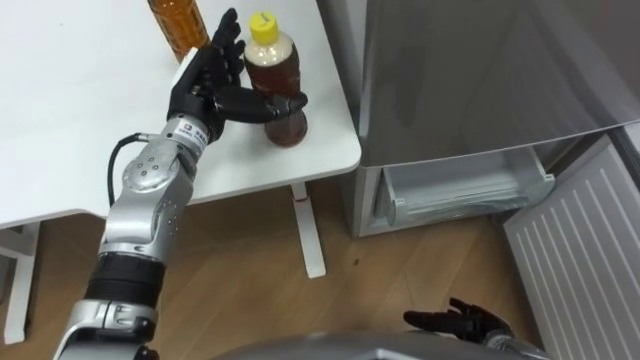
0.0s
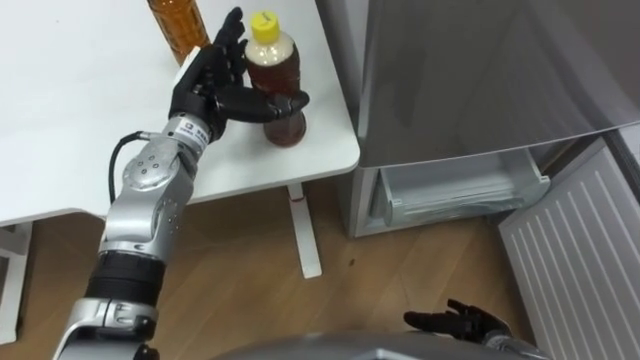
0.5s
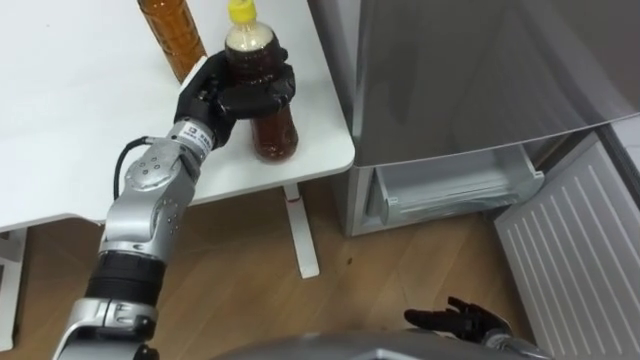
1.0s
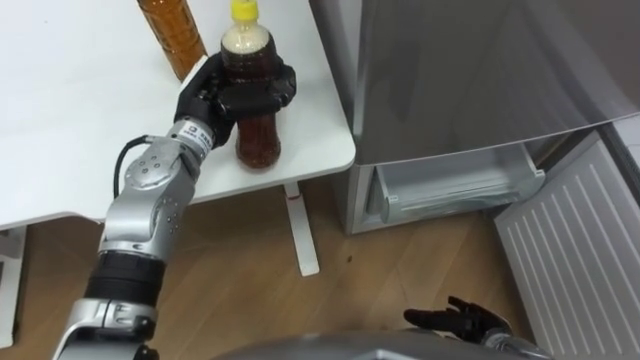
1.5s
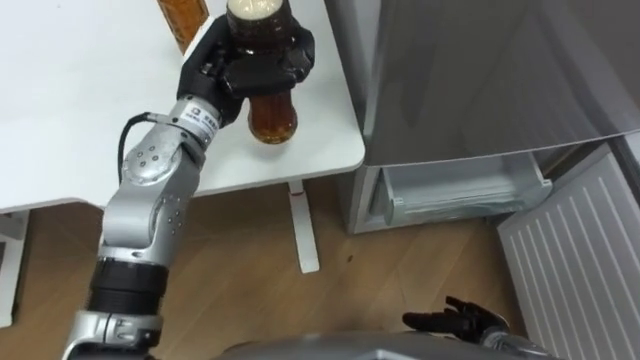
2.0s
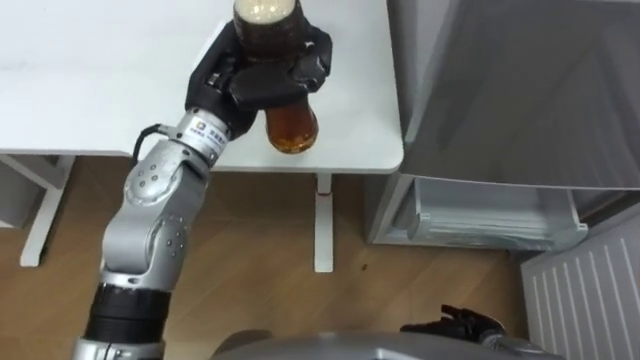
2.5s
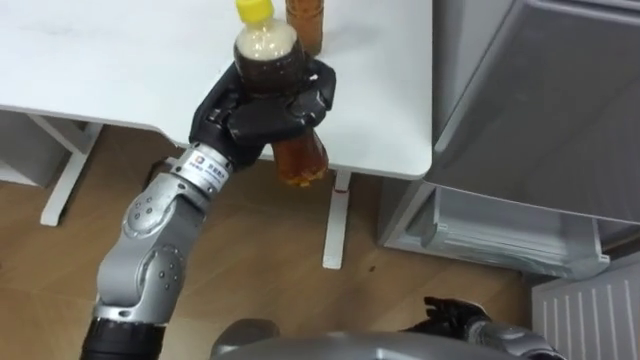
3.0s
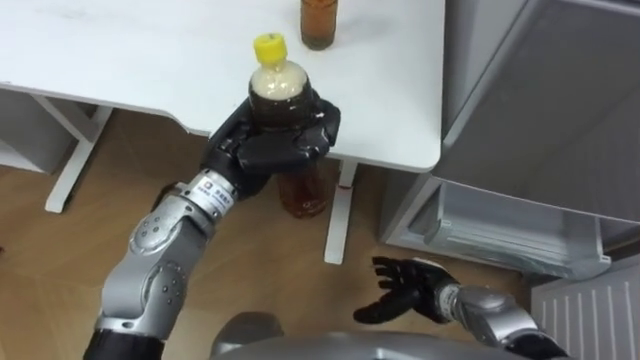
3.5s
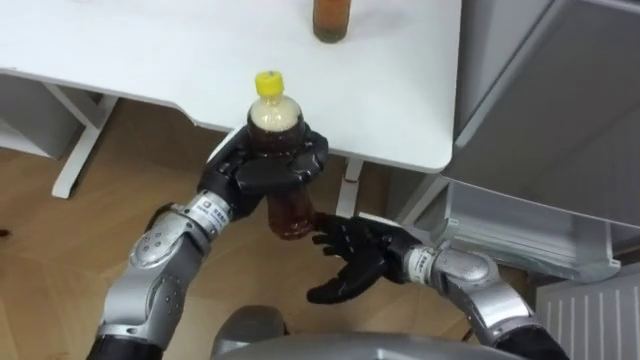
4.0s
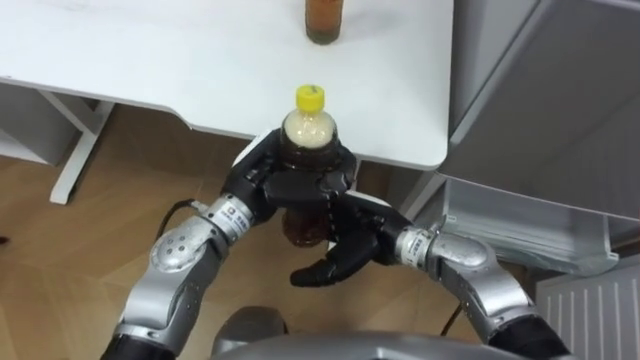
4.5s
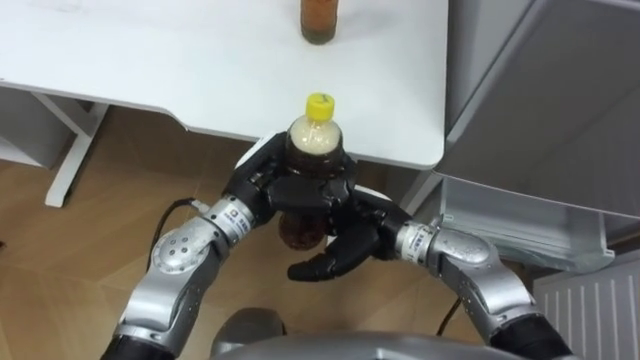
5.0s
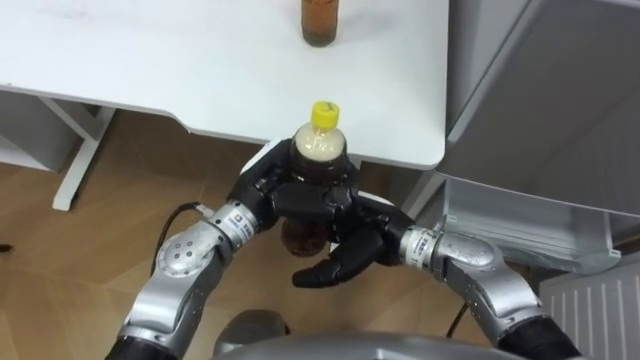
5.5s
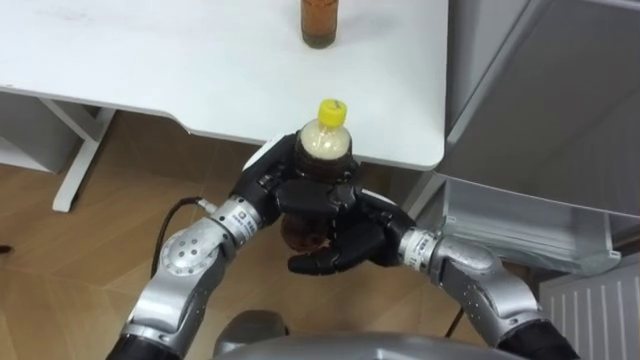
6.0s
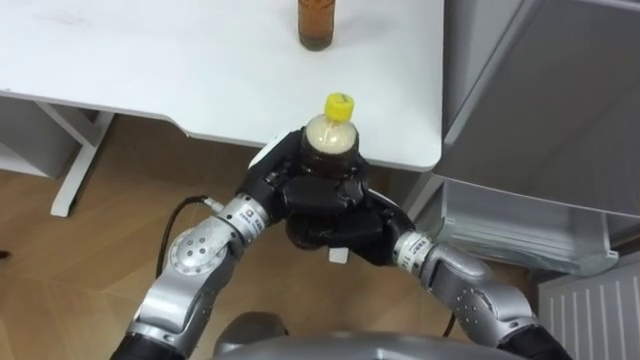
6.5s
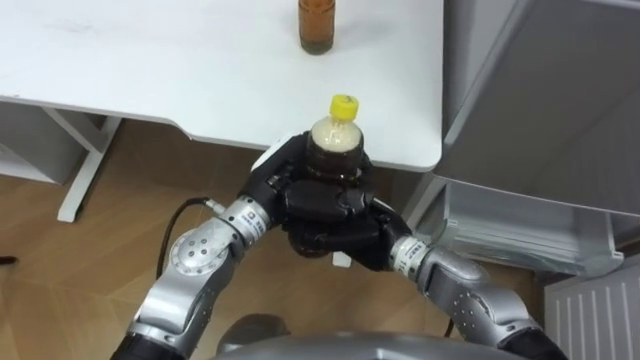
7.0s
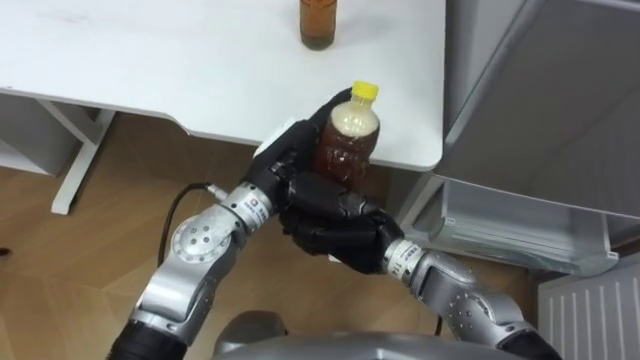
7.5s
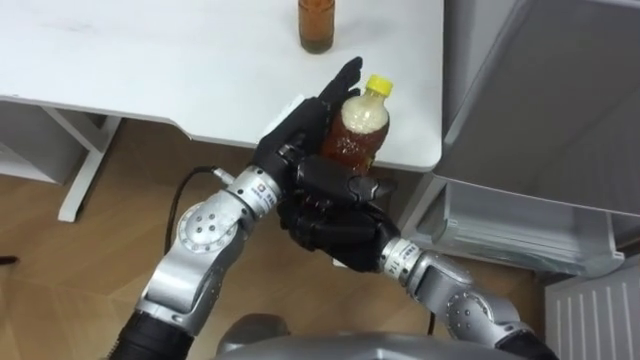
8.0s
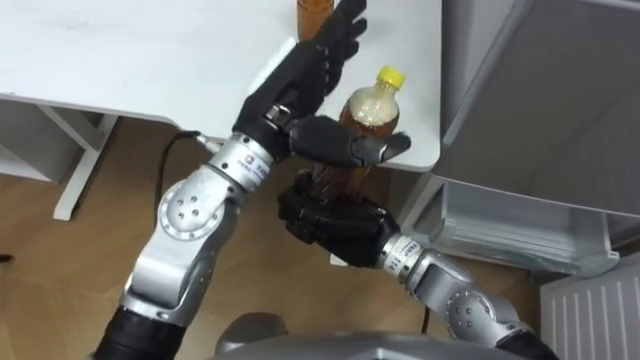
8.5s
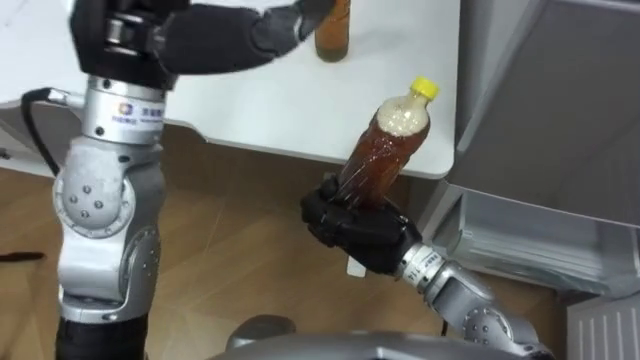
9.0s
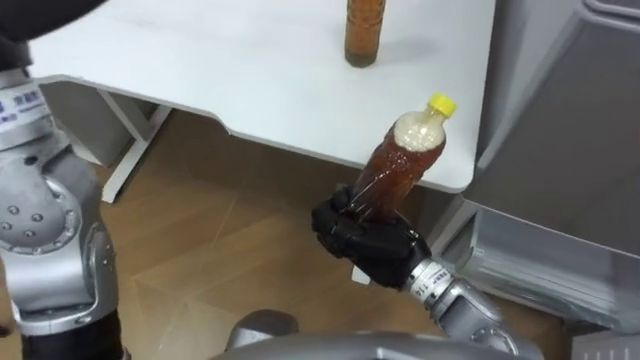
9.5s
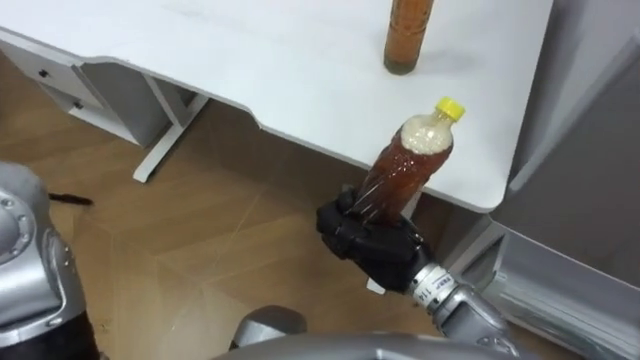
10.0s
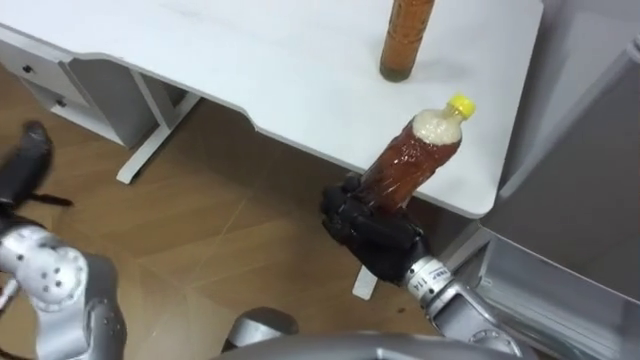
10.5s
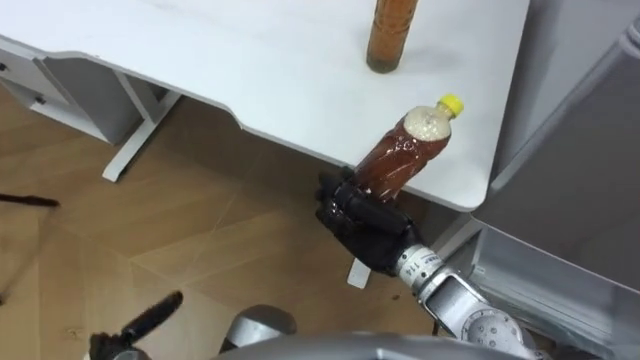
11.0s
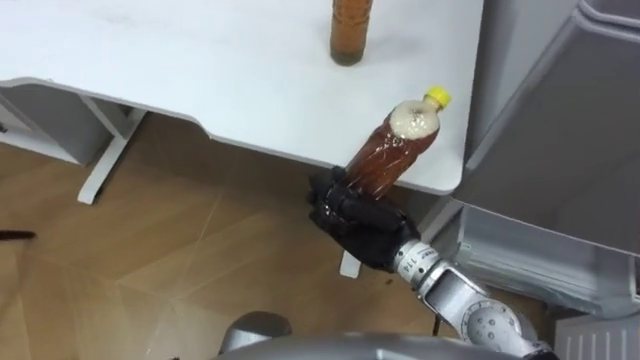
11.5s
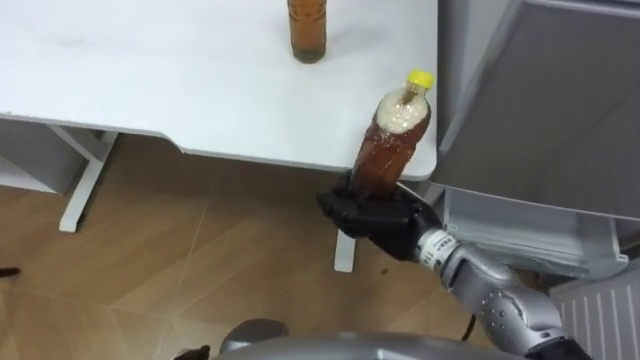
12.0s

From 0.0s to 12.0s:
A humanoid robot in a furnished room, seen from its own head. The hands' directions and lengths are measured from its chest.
Task of the whole recording: Place the drink on the table on the bottom shelf of the refrigerator, then close the drawer and the refrigerator door.
From 0.0s to 2.0s: The left hand ends up some 5 cm from where it was, and closes.
From 2.0s to 4.0s: The right hand is displaced to the left, upward and forward by about 20 cm. The left hand shifts approximately 10 cm downward and backward.
From 4.0s to 6.0s: The right hand moves upward, roughly 5 cm.
From 6.0s to 8.0s: The left hand changes place by some 5 cm, and opens up. Meanwhile the right hand closes its fingers.
From 8.0s to 10.0s: The right hand ends up about 5 cm from where it was.

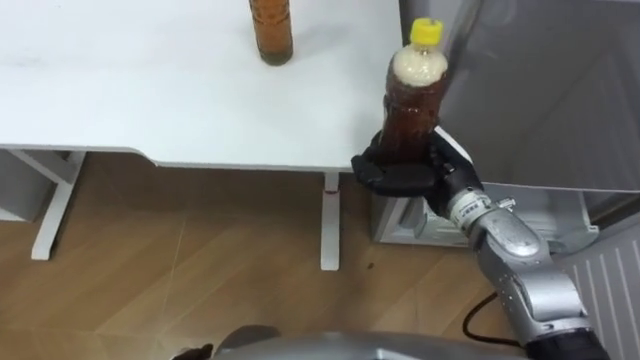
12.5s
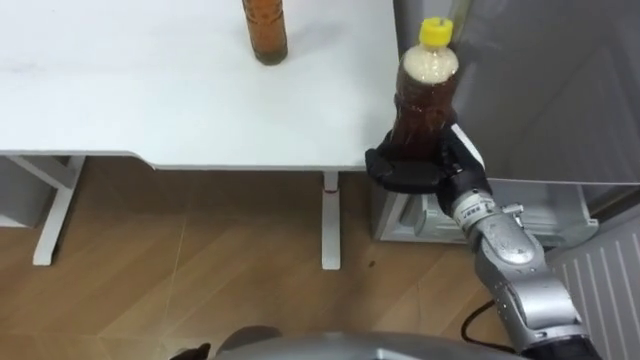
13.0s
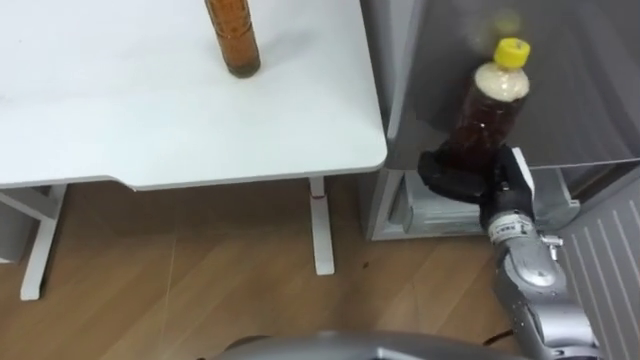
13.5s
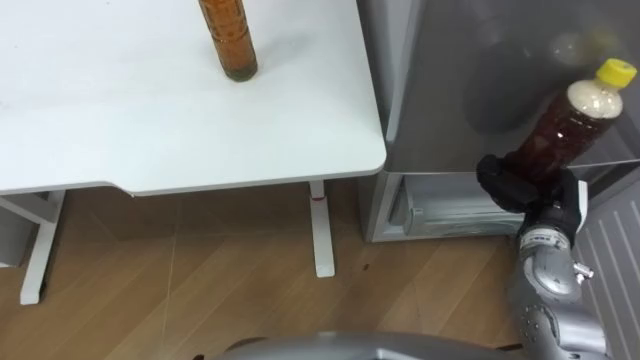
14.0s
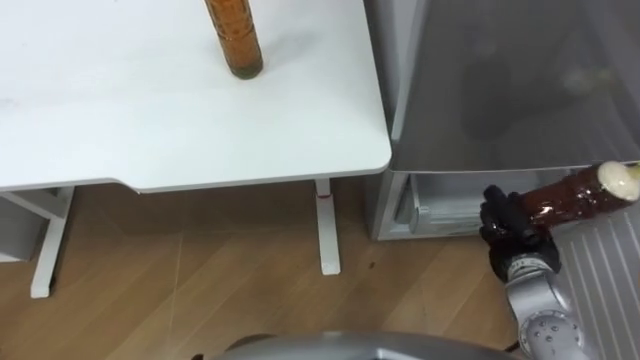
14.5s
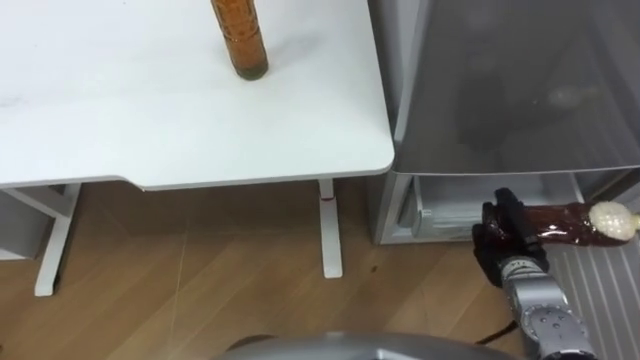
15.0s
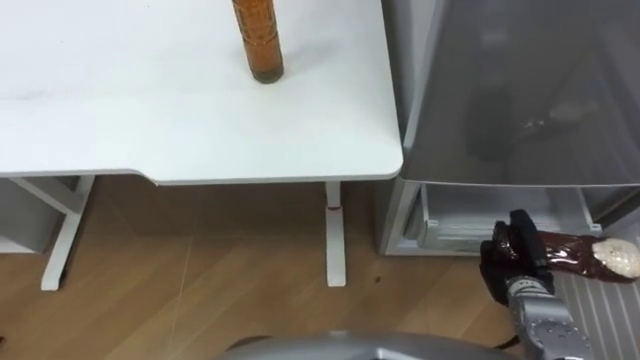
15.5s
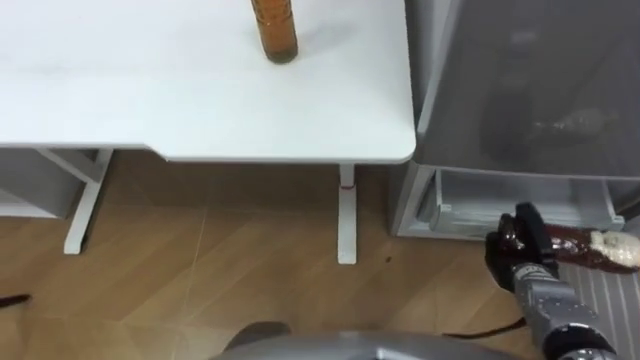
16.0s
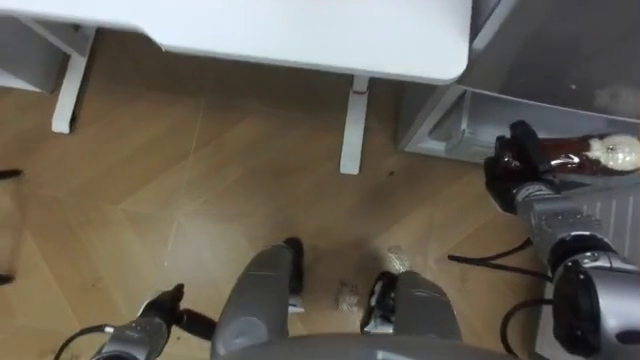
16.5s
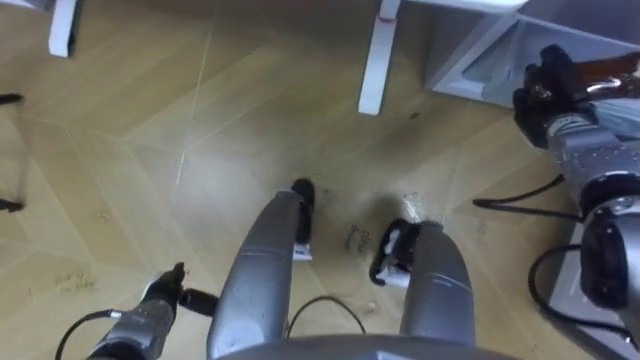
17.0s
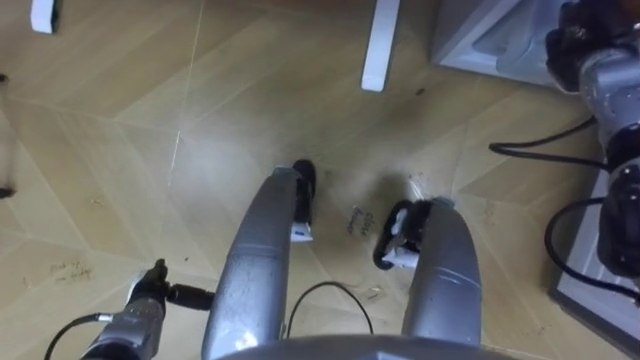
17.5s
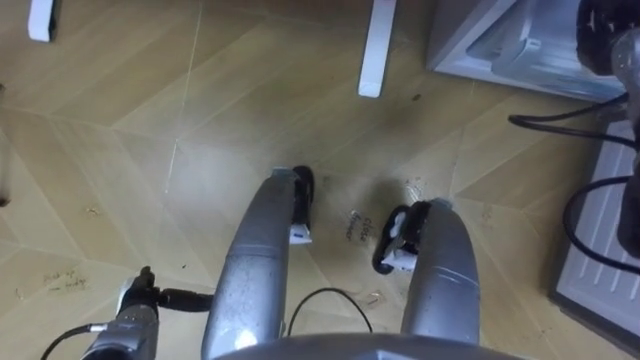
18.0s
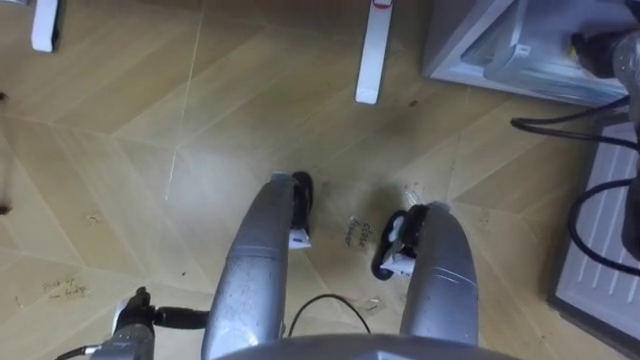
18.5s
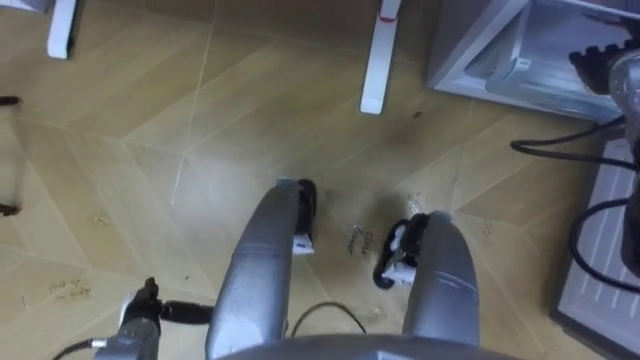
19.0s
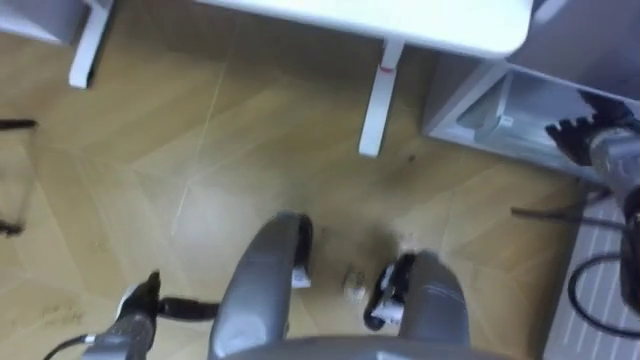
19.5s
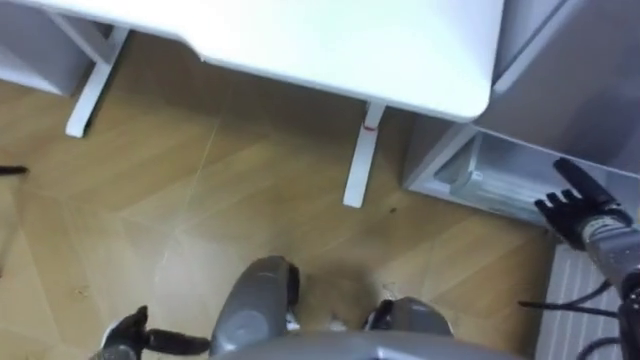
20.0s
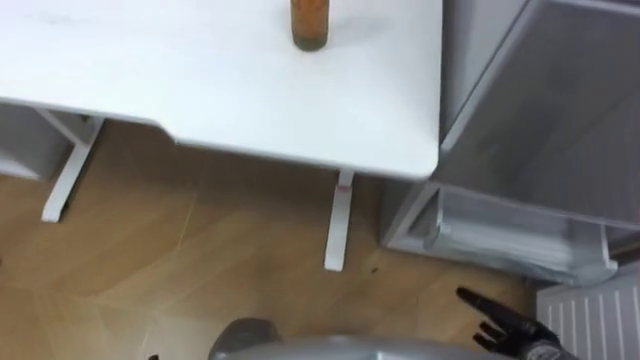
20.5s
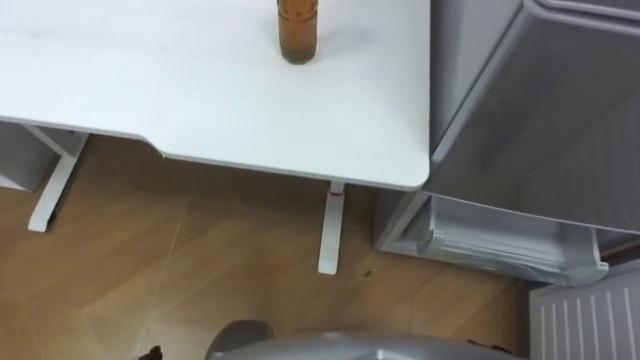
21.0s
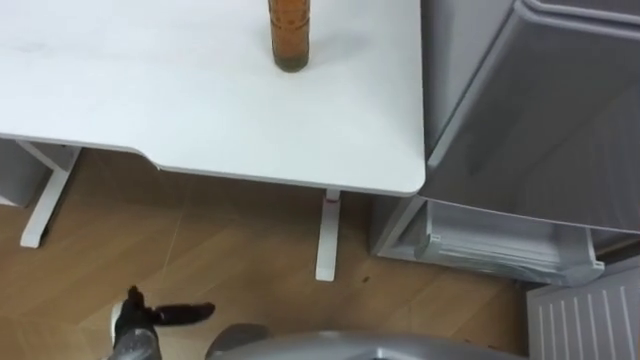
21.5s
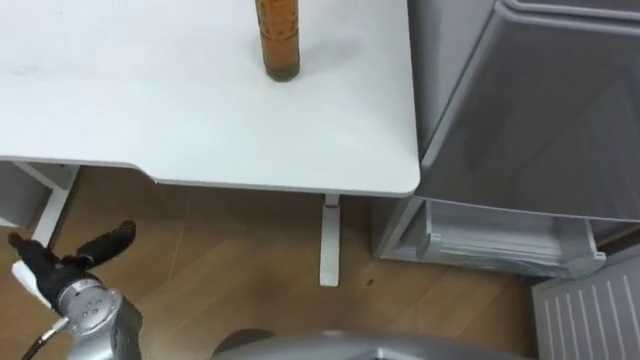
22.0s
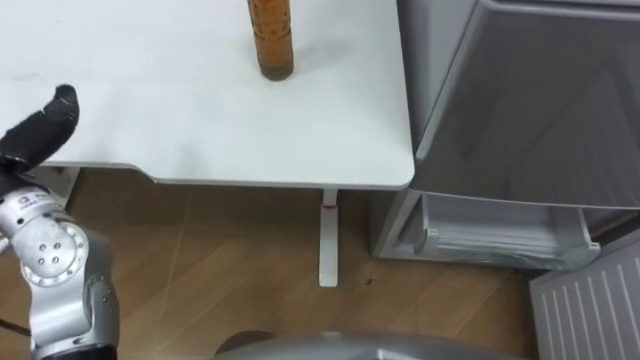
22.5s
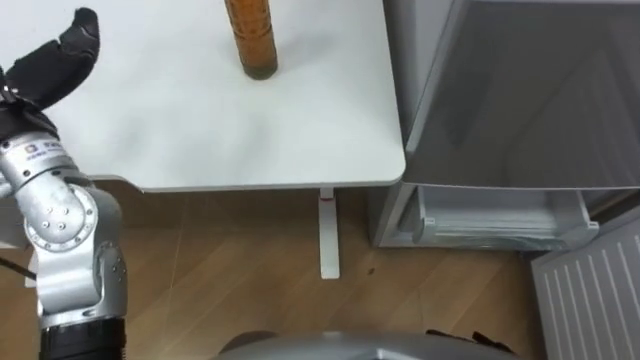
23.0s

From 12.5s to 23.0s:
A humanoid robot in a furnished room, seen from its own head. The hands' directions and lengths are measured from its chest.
Task of the whole recording: Place the drink on the table on the bottom shelf of the refrigerator, then close the drawer and the refrigerator door.
From 12.5s to 14.5s: The right hand shifts some 20 cm to the right, downward and backward.
From 14.5s to 16.5s: The right hand goes about 10 cm forward.
From 16.5s to 19.0s: The right hand travels upward, forward and to the right by roughly 20 cm, and opens up.
